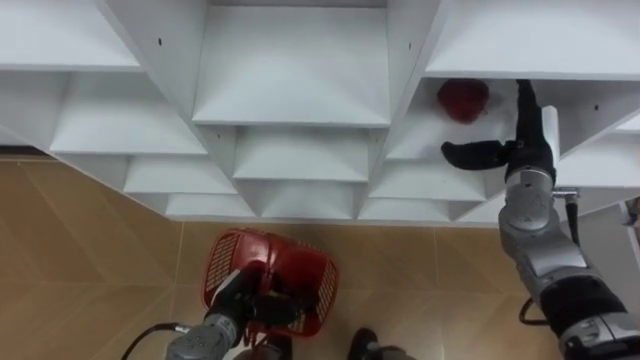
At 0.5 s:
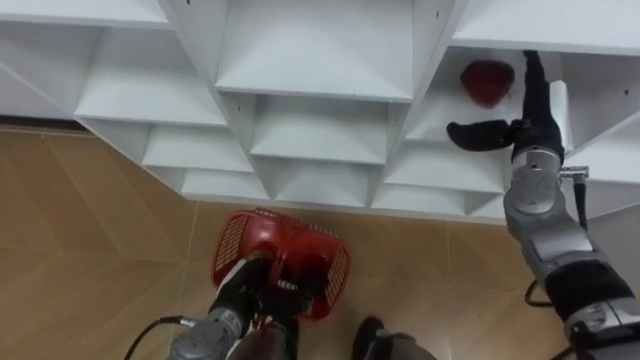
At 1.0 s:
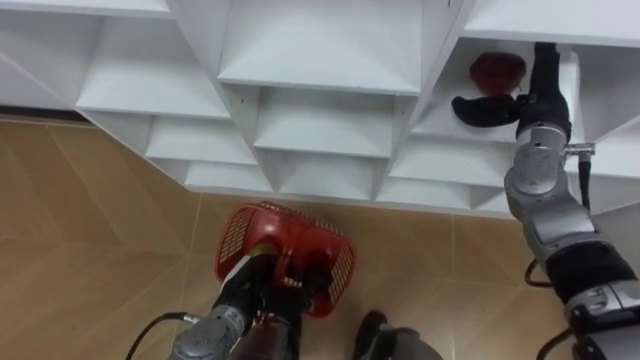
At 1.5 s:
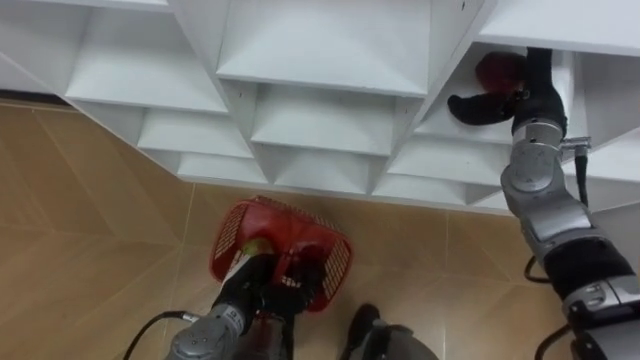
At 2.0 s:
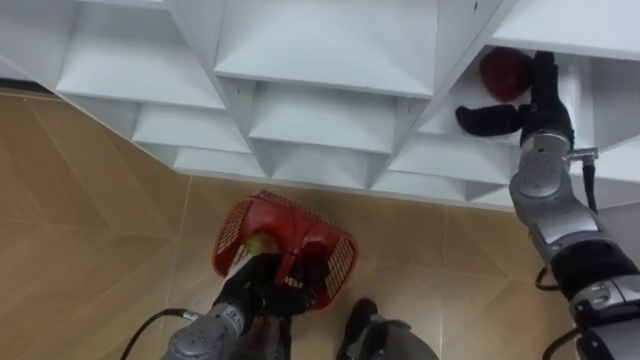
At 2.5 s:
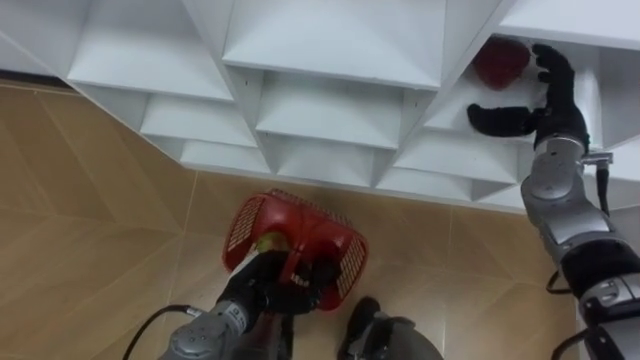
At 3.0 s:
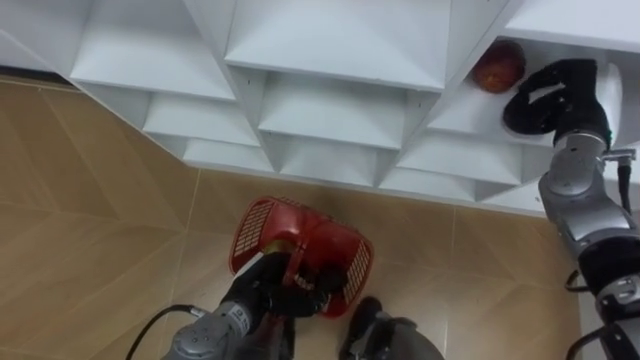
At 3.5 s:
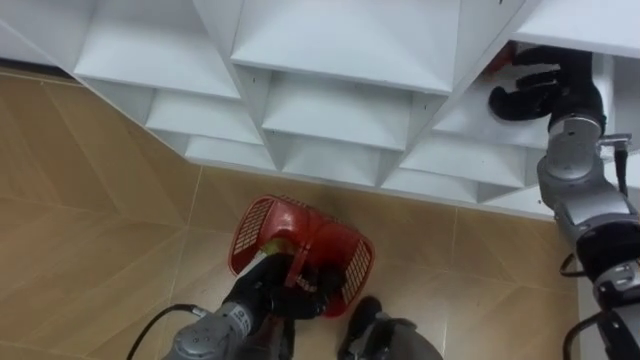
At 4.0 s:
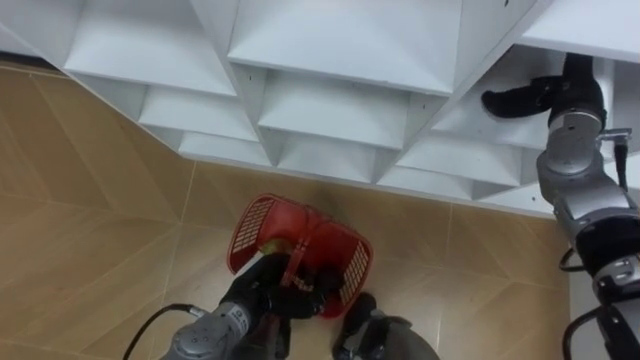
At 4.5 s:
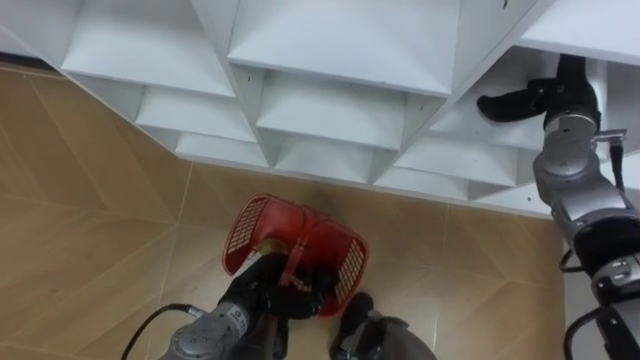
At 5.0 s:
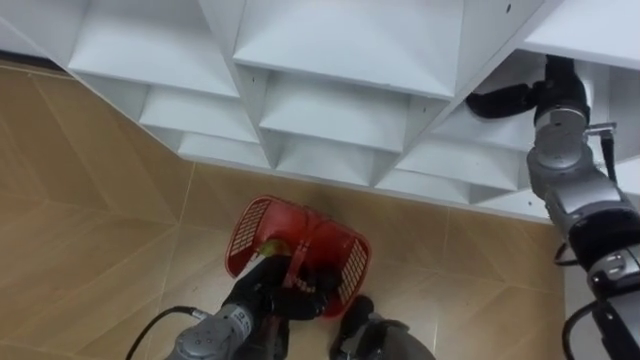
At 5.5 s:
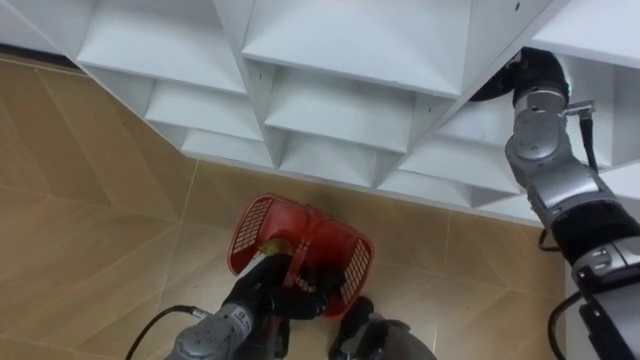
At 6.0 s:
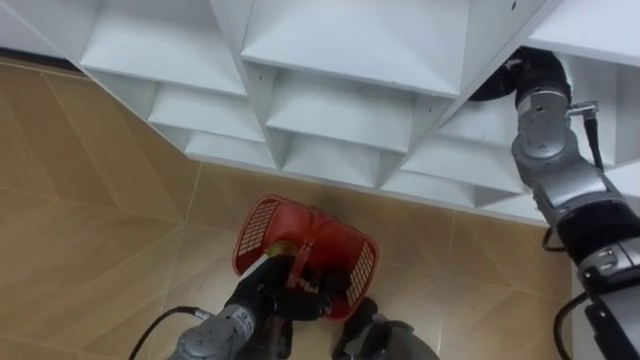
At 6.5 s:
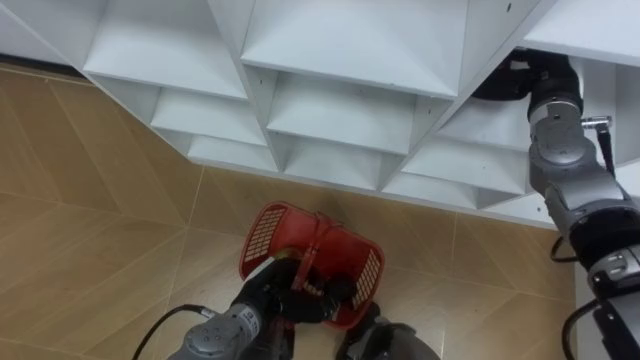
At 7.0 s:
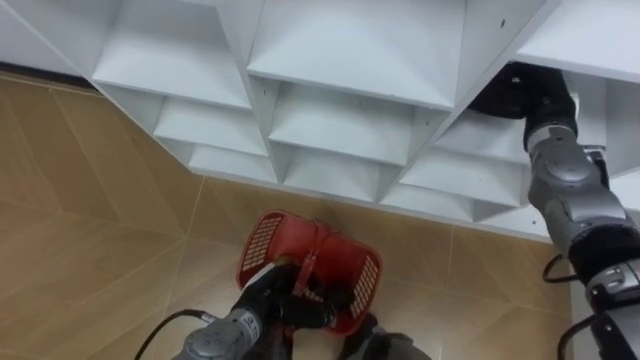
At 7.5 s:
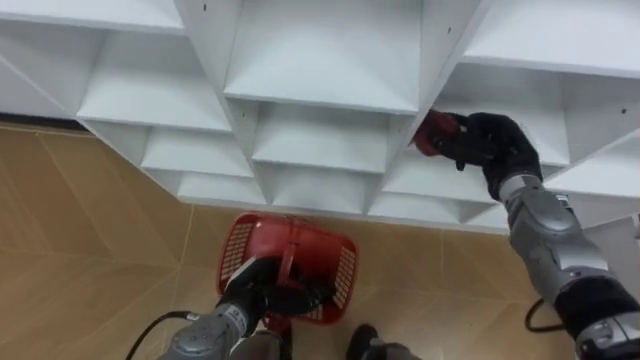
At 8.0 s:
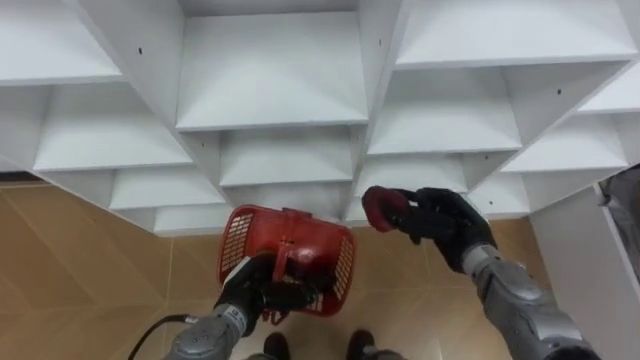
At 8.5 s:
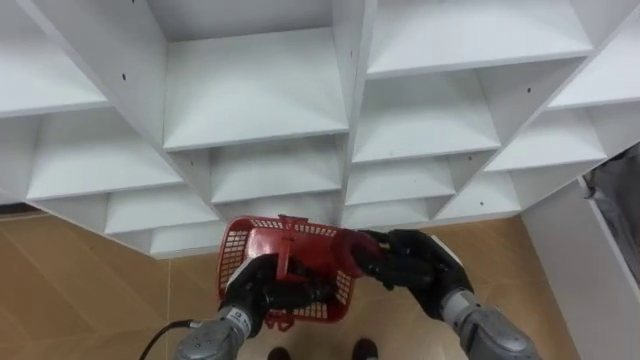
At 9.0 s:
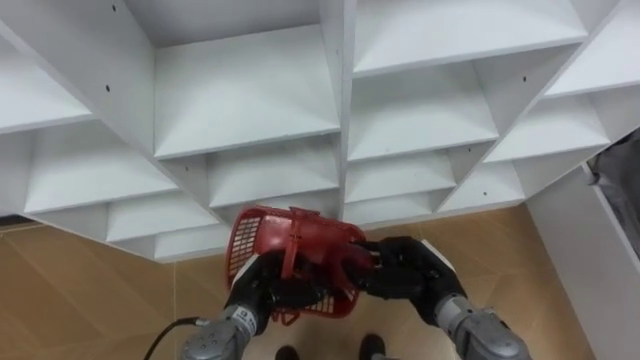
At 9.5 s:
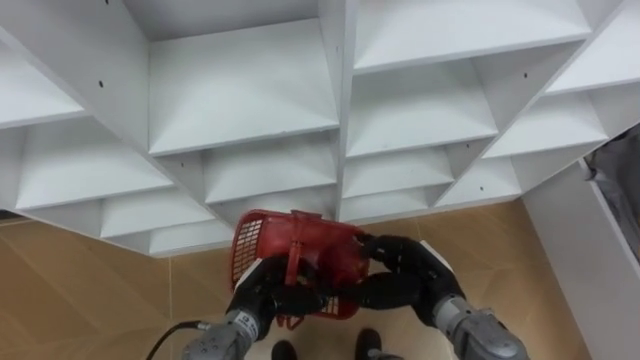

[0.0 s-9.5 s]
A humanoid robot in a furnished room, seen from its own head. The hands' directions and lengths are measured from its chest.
Task of the whole recording: Hold the basket and collect the fruits from 3 different cells of the closet into it.
0.0 to 2.0 s: The right hand moves approximately 5 cm.
2.0 to 4.0 s: The right hand closes and opens again.
4.0 to 5.5 s: The right hand heads to the left, covering some 5 cm.
5.5 to 7.5 s: The right hand moves downward, approximately 10 cm, and closes.
7.5 to 9.5 s: The right hand travels backward, to the left and downward by roughly 20 cm.

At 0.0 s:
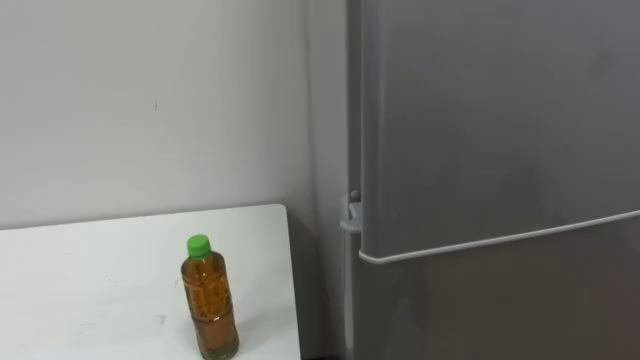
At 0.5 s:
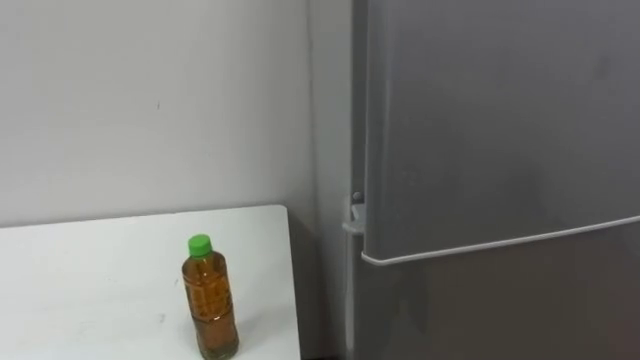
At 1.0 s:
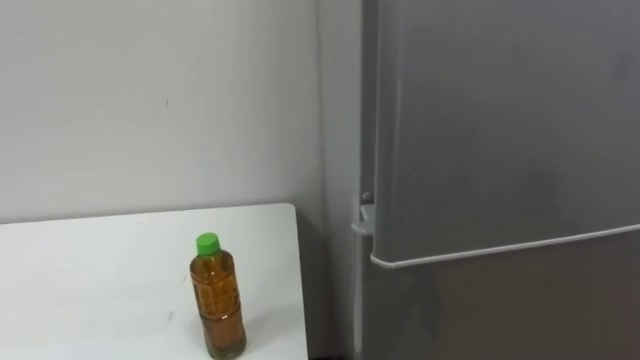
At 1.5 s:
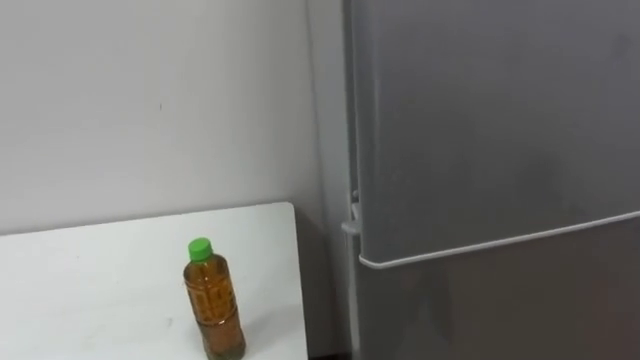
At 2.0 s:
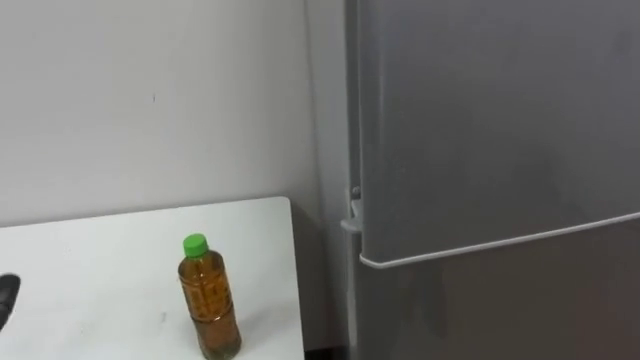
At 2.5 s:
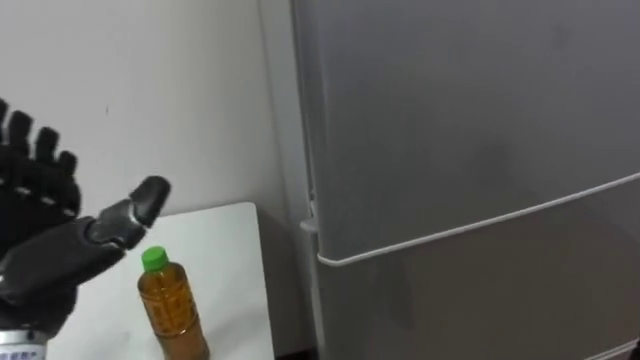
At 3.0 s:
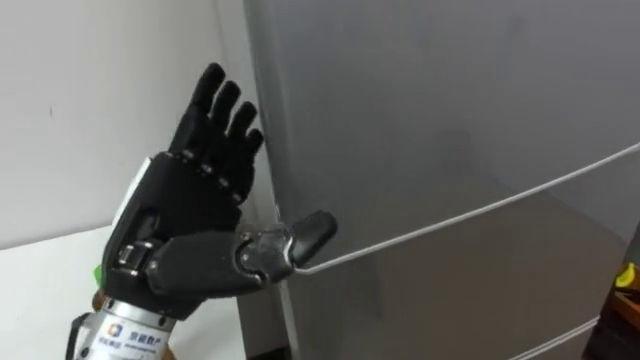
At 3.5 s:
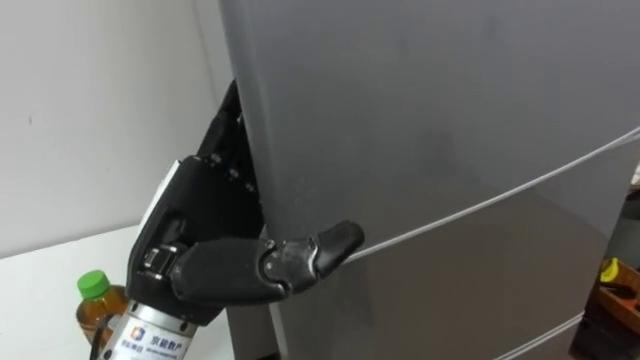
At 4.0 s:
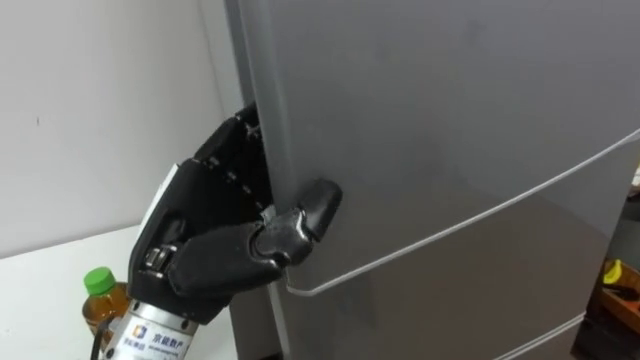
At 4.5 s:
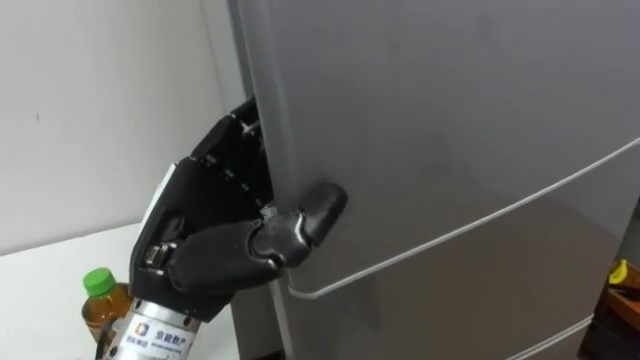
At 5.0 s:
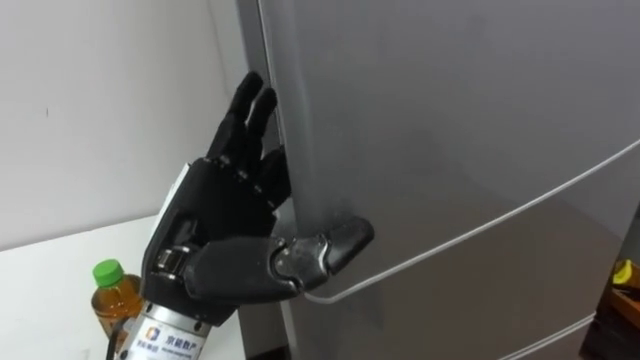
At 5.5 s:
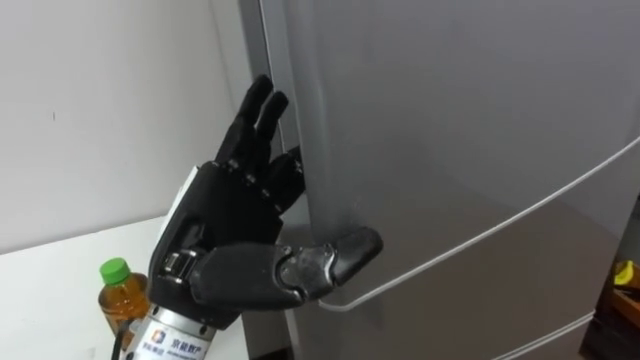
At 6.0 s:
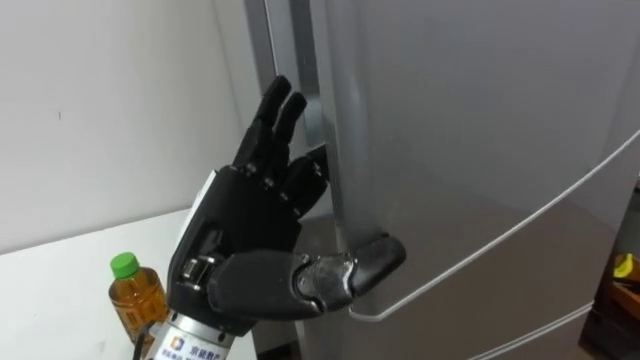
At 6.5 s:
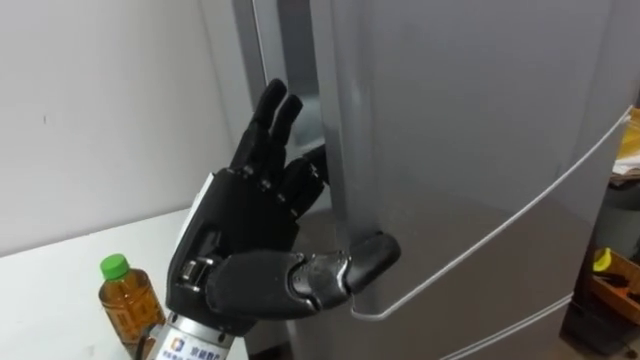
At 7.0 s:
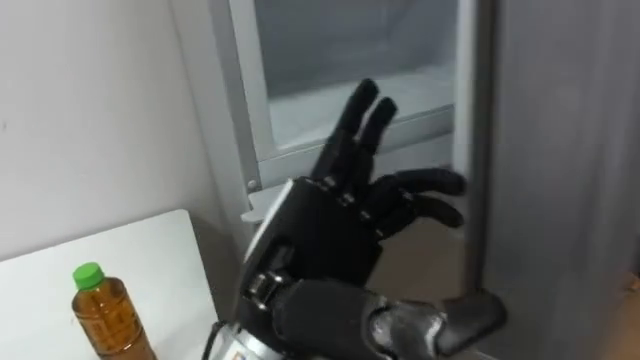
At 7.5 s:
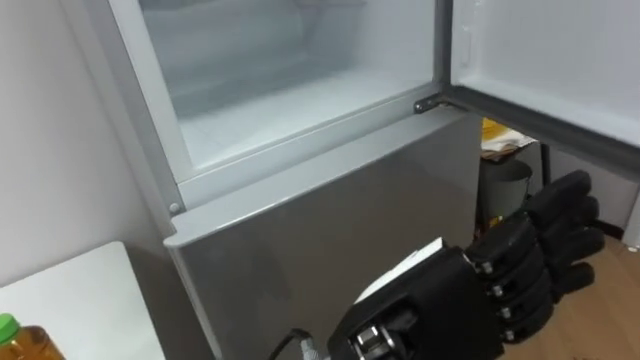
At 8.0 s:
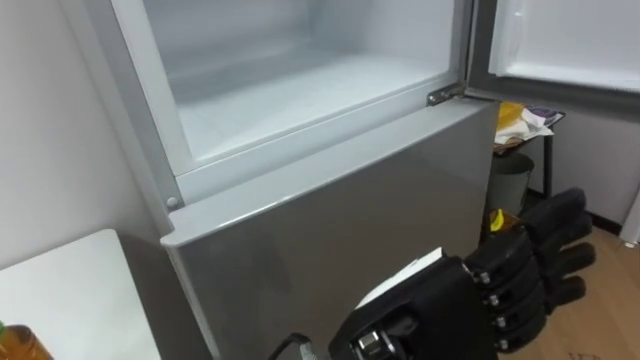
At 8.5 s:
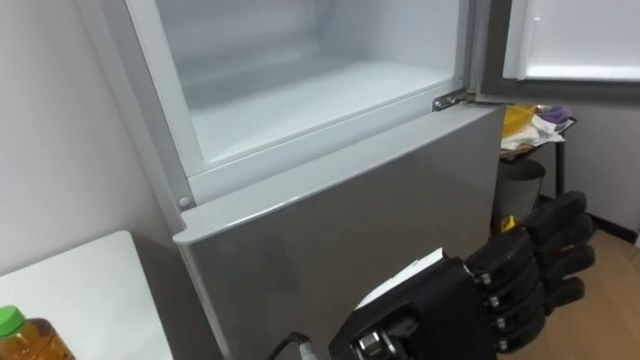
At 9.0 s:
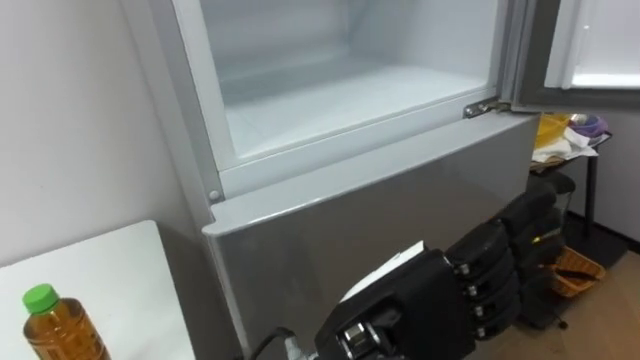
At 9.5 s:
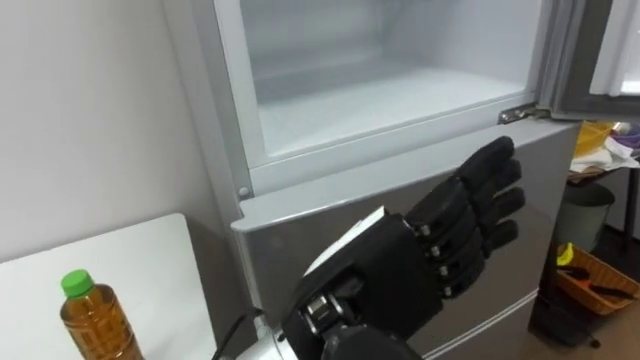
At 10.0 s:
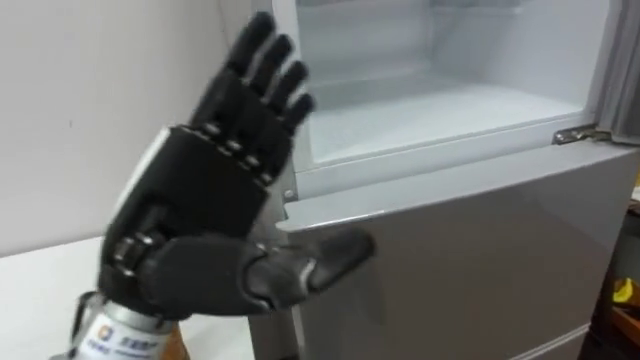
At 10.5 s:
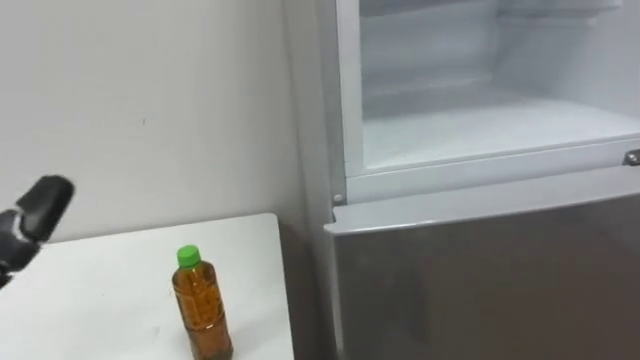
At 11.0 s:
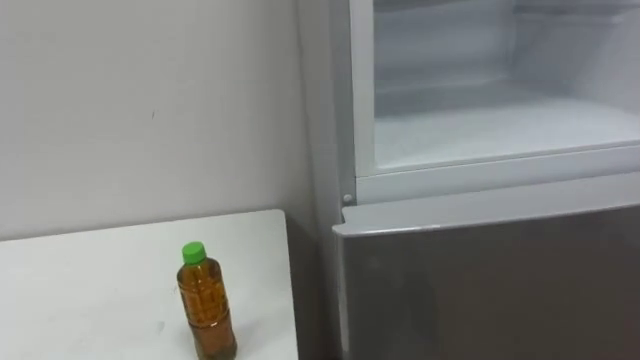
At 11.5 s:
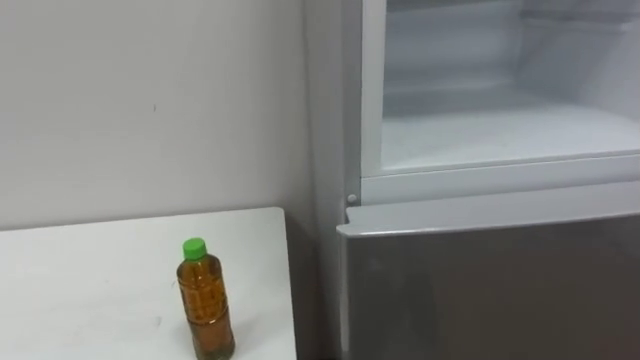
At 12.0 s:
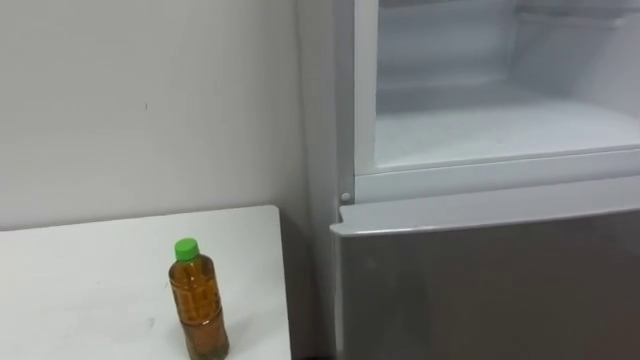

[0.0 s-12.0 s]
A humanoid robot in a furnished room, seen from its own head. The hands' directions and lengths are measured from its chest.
Task of the whole recording: Open the upper refrigerator door, put the drink from the table into the refrigerator, and then close the refrigerator door.
6.0 to 8.0 s: The left hand heads to the right and backward, covering some 15 cm.
8.0 to 10.0 s: The left hand heads to the left, covering about 15 cm.
